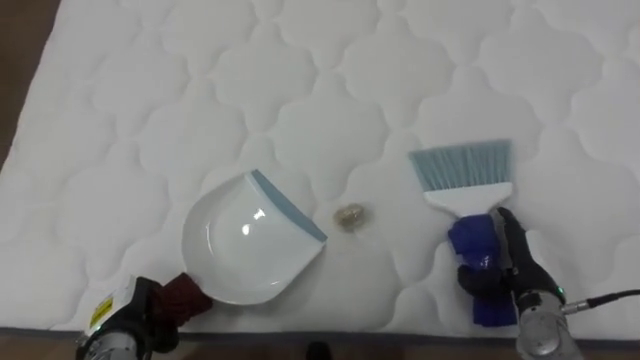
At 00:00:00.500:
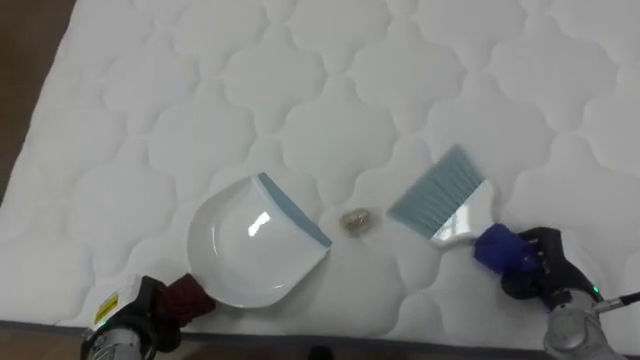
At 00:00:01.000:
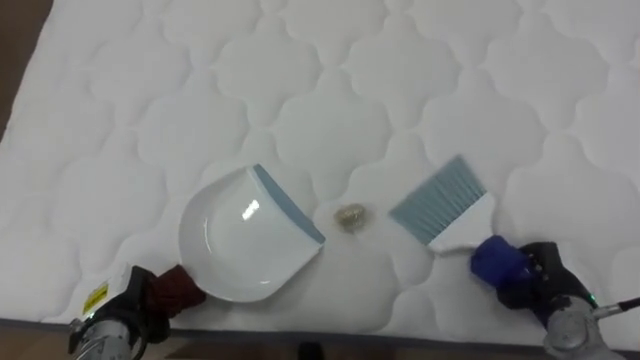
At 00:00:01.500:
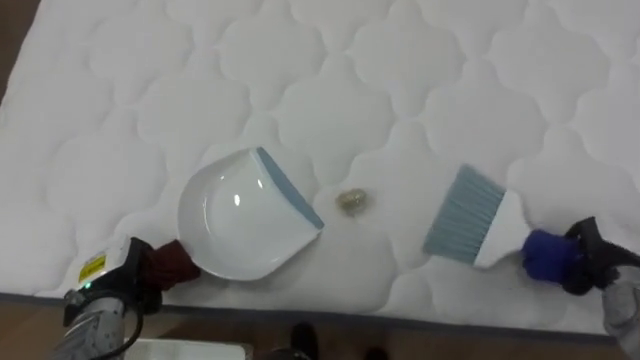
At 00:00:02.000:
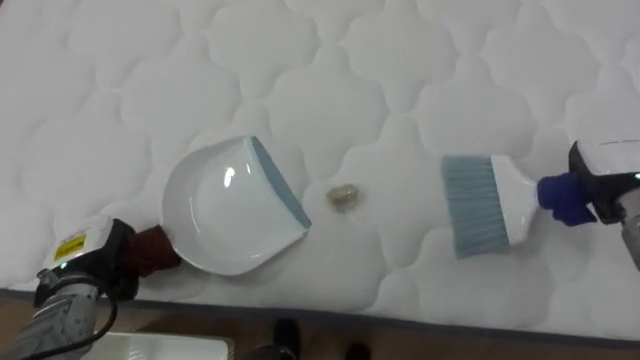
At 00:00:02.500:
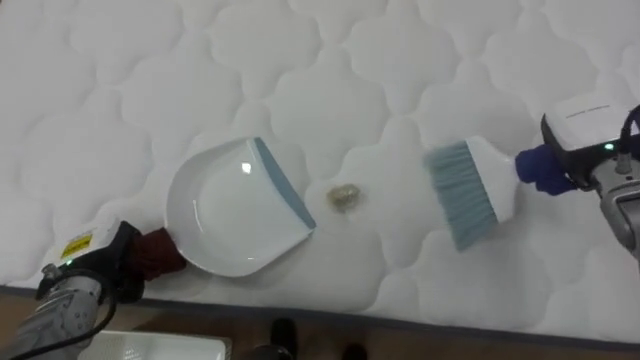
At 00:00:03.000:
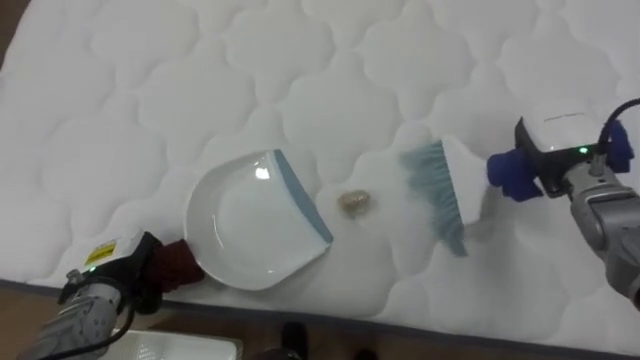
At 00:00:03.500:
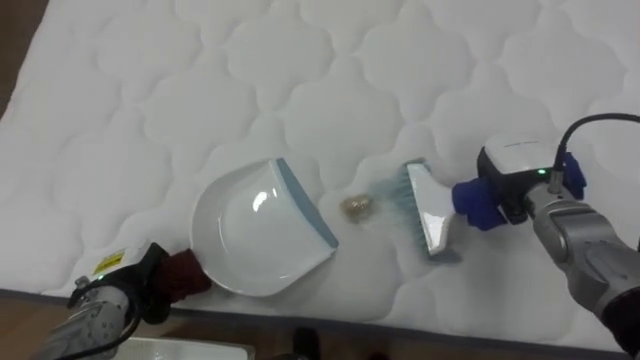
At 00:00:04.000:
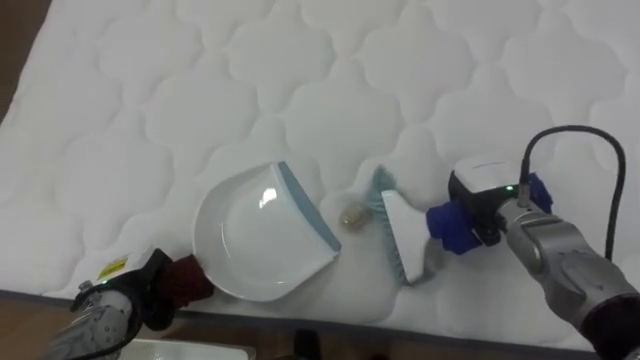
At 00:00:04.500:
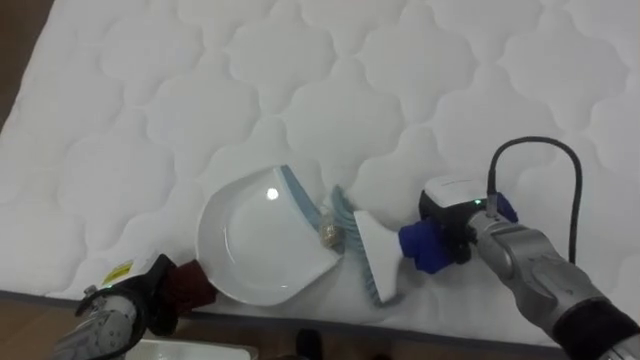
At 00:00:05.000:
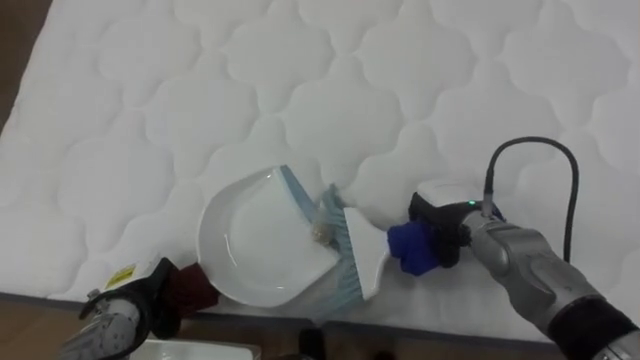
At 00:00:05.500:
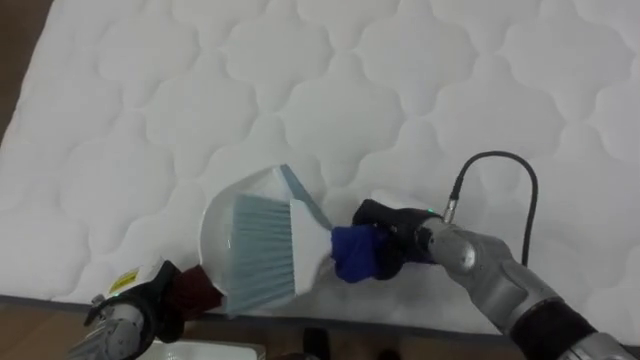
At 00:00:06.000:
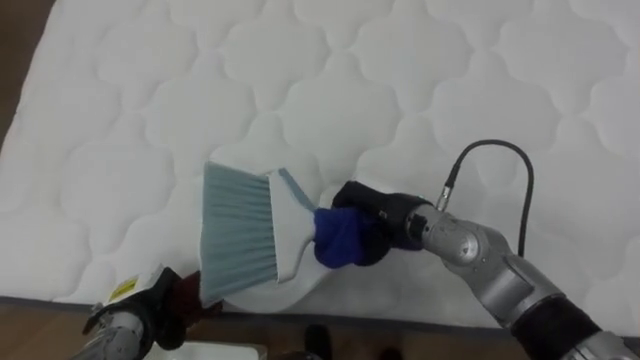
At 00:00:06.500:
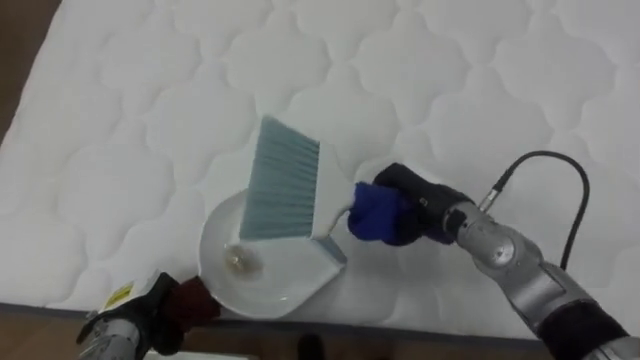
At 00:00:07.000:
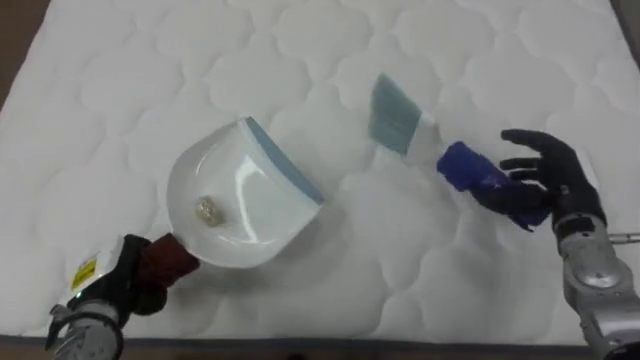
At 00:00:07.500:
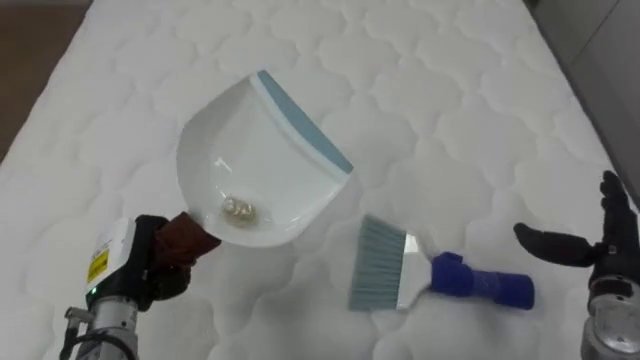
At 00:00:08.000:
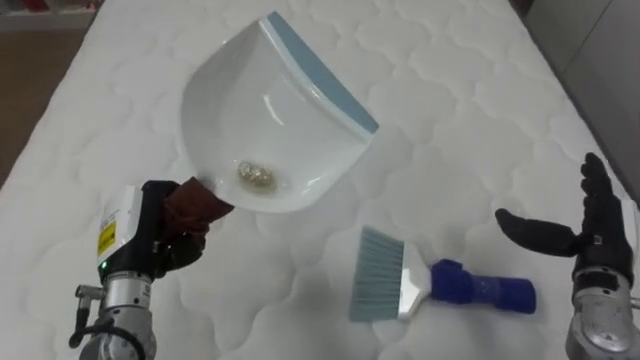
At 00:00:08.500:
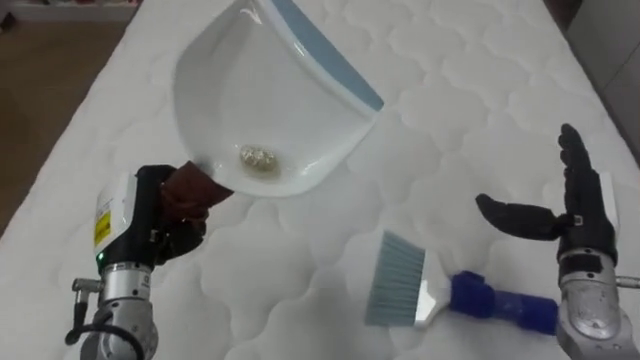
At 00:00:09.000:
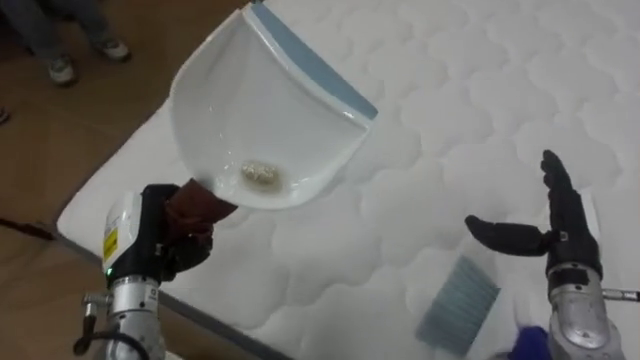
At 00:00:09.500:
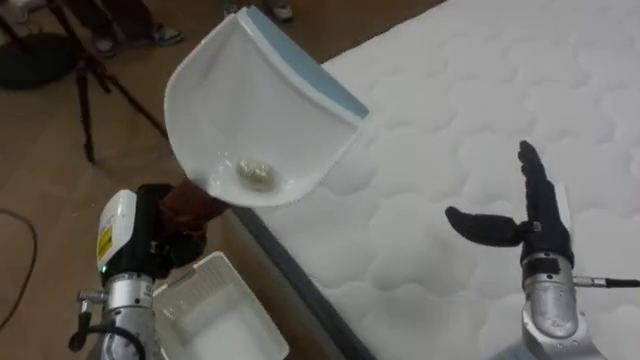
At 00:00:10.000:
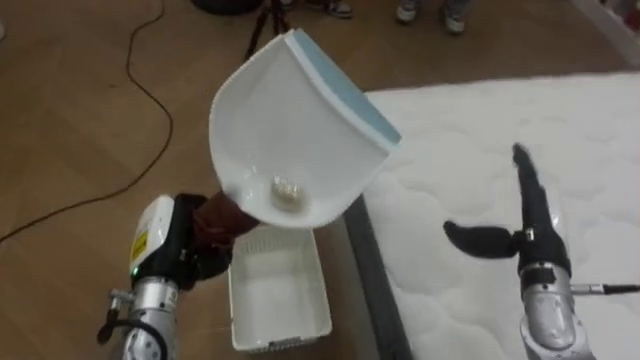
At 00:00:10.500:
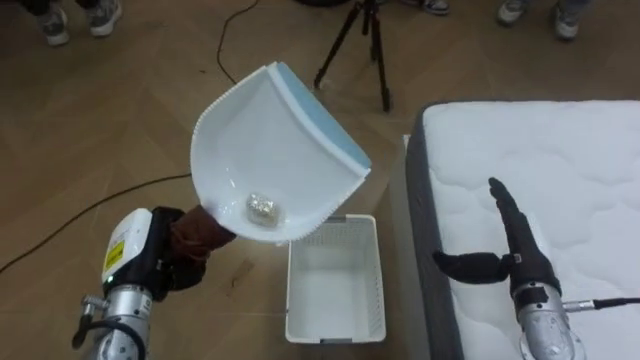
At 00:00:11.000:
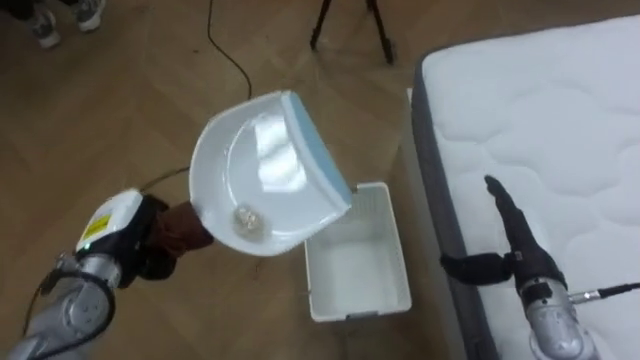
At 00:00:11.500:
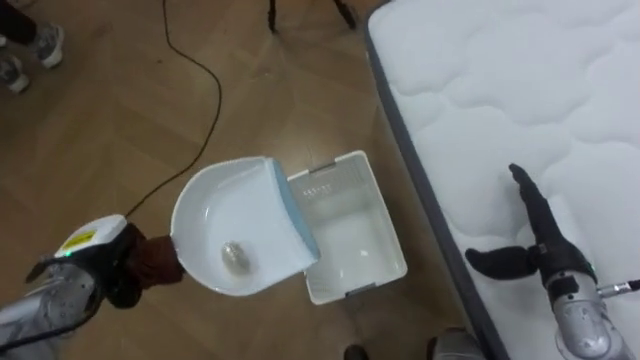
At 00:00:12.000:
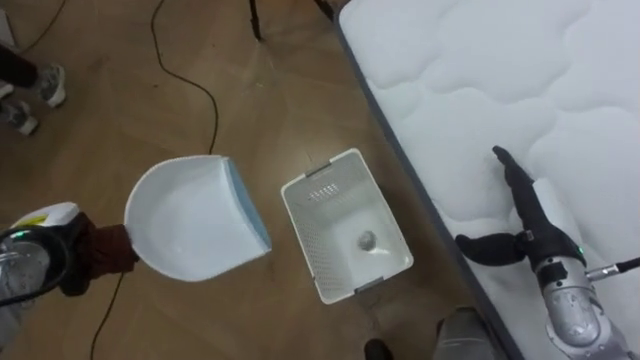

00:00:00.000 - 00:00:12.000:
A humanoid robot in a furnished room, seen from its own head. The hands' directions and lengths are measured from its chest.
Task of the whole recording: Pick up the brush on your right and the dustpan on your left. Use the brush to sweep the crumpled paper on the bed into the dustpan, then turn left and empty it into the basket.
00:00:00.000 - 00:00:02.000: The left hand moves upward and forward, approximately 10 cm. Meanwhile the right hand is displaced upward, forward and to the right by about 20 cm, and closes up.
00:00:02.000 - 00:00:04.000: The right hand moves to the left, about 15 cm. Meanwhile the left hand ends up some 5 cm from where it was.
00:00:04.000 - 00:00:06.000: The right hand heads to the left, covering some 15 cm.
00:00:06.000 - 00:00:08.000: The right hand is displaced to the right by roughly 25 cm, and opens its fingers. Meanwhile the left hand goes approximately 15 cm upward.
00:00:08.000 - 00:00:10.000: The robot faces some 80 degrees further to its left. The right hand goes about 5 cm to the left.
00:00:10.000 - 00:00:12.000: The left hand shifts about 15 cm to the left.

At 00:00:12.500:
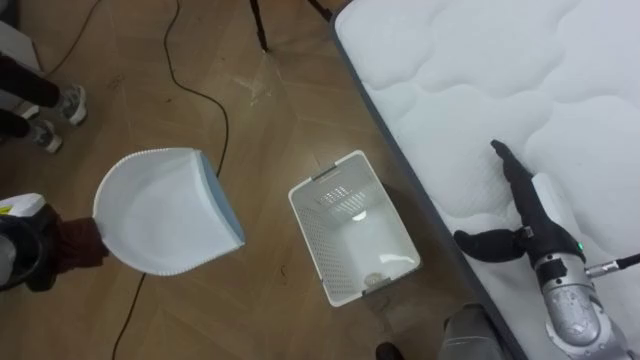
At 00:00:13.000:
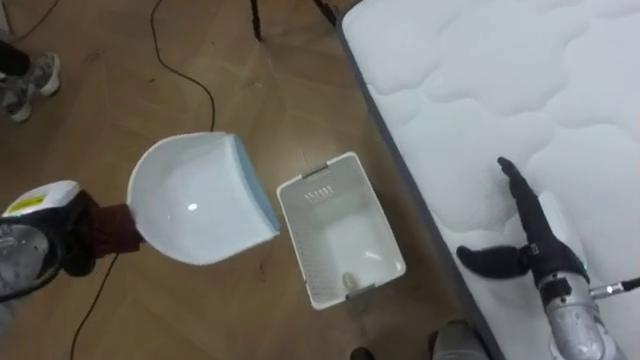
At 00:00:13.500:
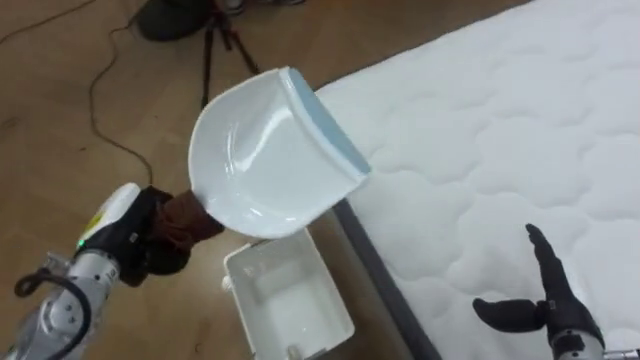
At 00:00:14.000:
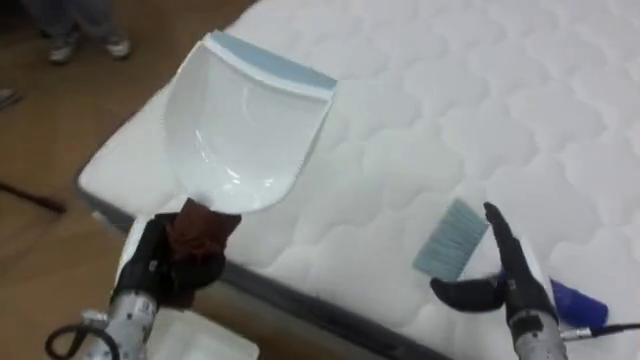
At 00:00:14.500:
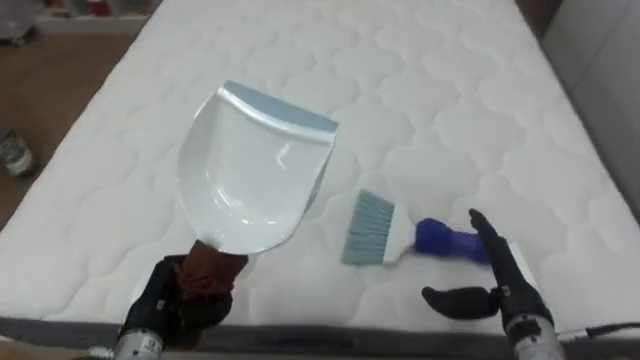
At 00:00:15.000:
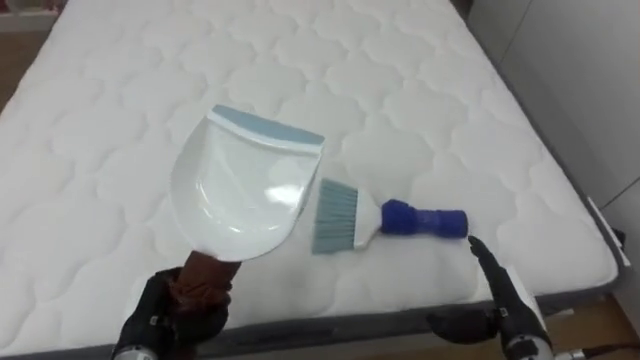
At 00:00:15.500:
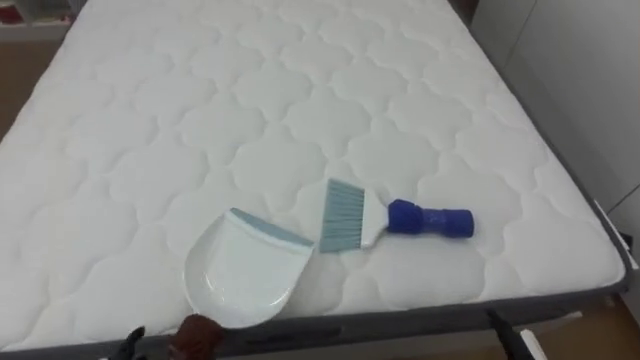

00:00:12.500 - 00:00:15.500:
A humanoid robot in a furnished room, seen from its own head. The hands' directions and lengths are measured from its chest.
Task of the whole recording: Pick up the brush on your right and the dustpan on your left. Use the brush to sweep the crumpled paper on the bed into the dustpan, then turn left and empty it into the basket.
00:00:12.500 - 00:00:14.000: The robot's body swings some 65 degrees to its right. The left hand is displaced to the right by approximately 15 cm; the right hand is displaced downward and backward by approximately 10 cm.
00:00:14.000 - 00:00:15.500: The robot's body swings about 30 degrees to its right.

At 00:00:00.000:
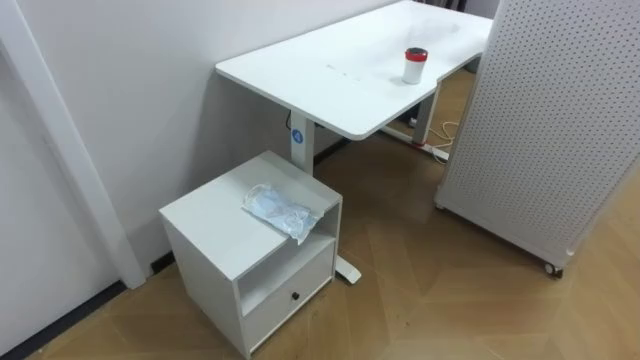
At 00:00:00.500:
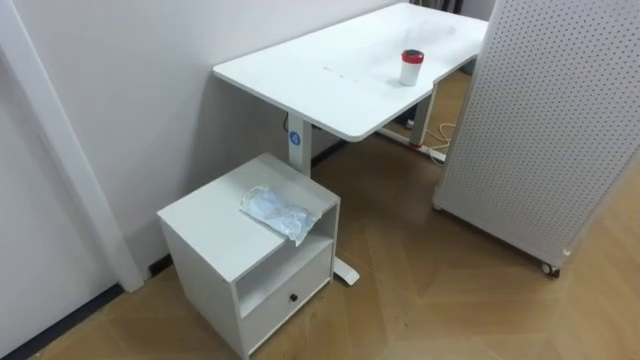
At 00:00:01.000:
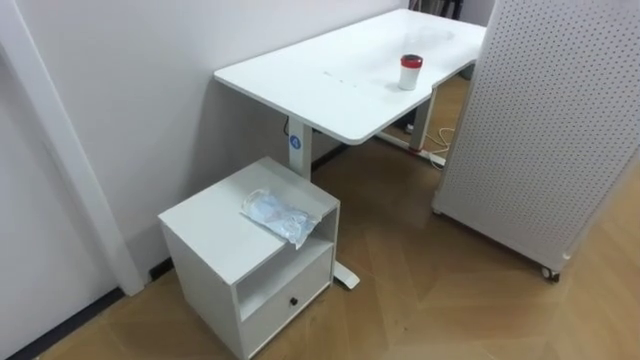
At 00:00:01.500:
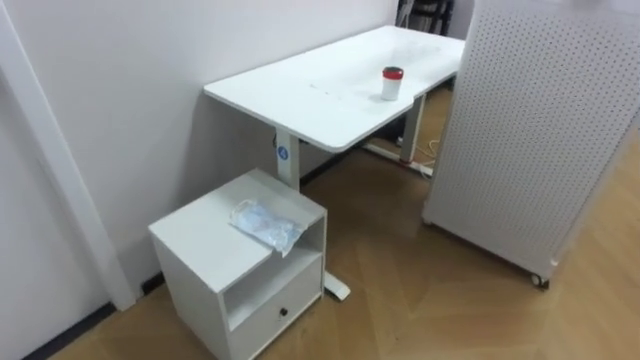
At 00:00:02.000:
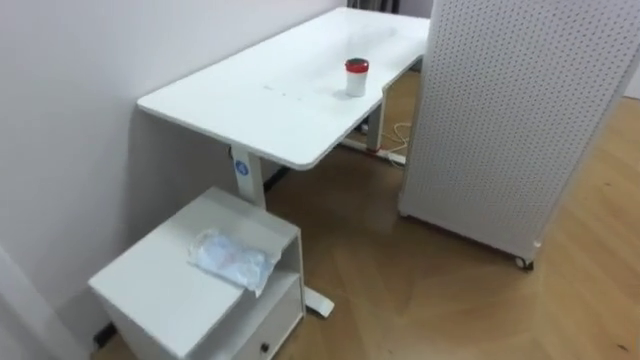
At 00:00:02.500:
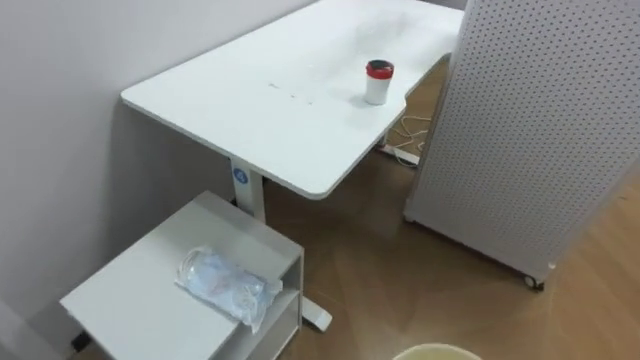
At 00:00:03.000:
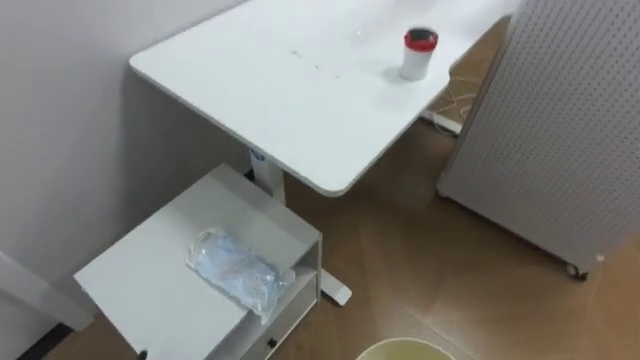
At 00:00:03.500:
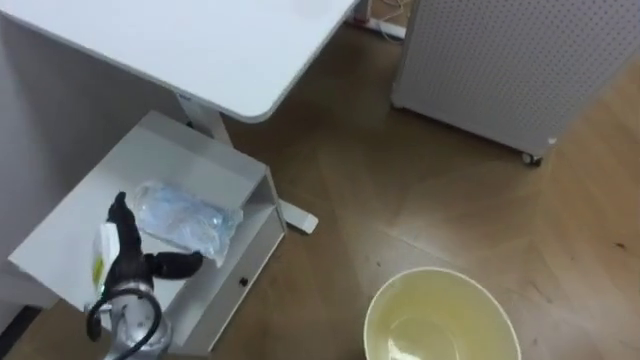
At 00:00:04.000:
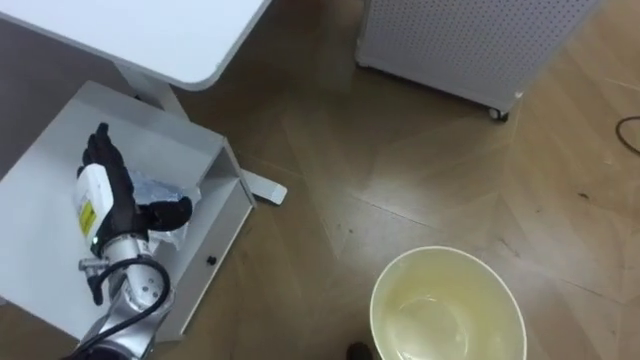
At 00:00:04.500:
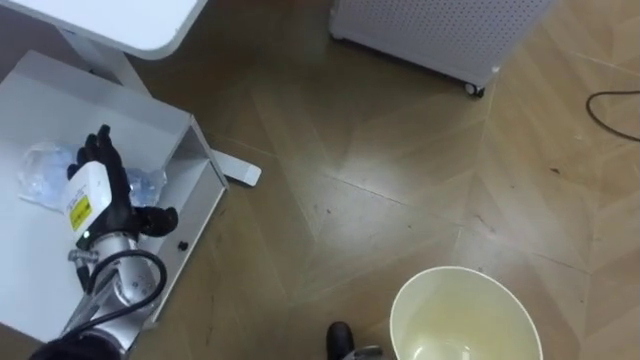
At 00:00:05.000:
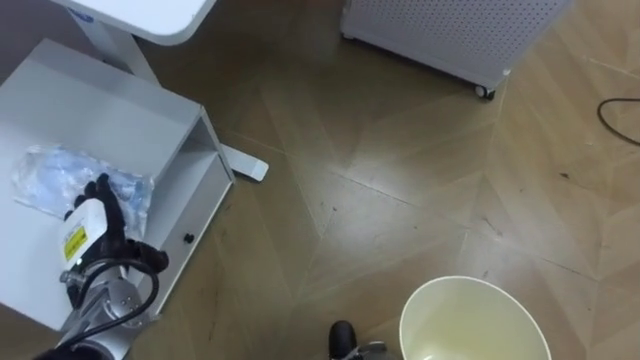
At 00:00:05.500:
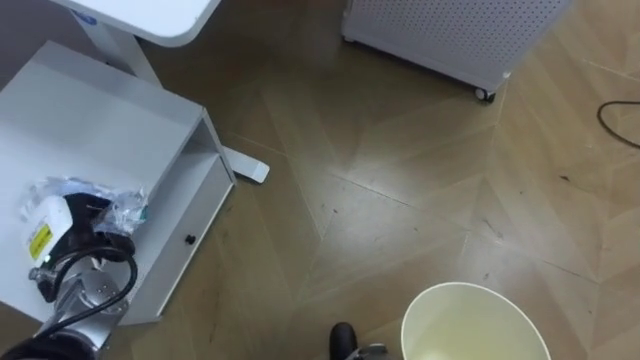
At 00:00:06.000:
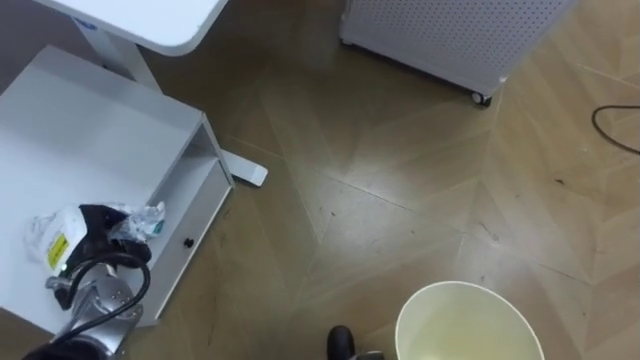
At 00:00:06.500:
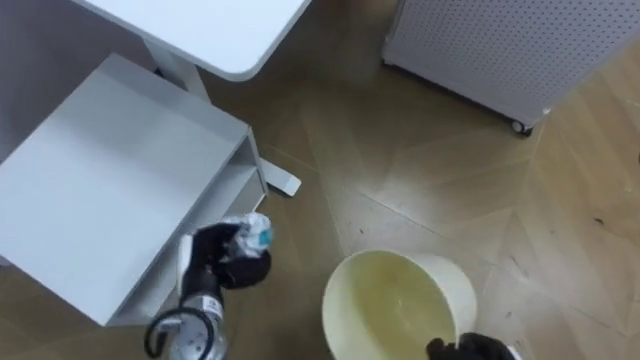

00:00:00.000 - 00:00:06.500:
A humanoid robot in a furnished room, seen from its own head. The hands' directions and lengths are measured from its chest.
Task of the whole recording: Pick up the light blue package, the candy box, and the dark blue package separately, and put them into the trash can held in your right hand.
00:00:04.500 - 00:00:06.500: The left hand is displaced to the right and downward by roughly 15 cm, and closes its fingers.
